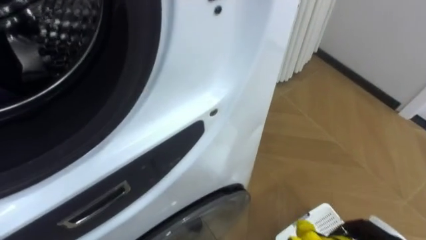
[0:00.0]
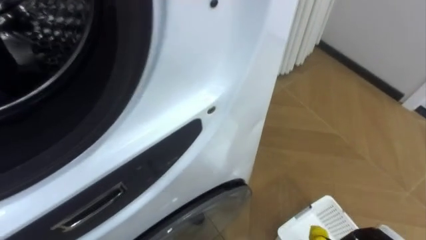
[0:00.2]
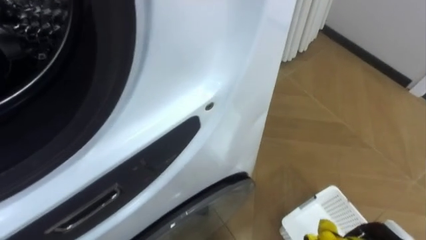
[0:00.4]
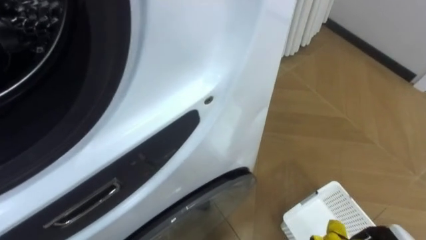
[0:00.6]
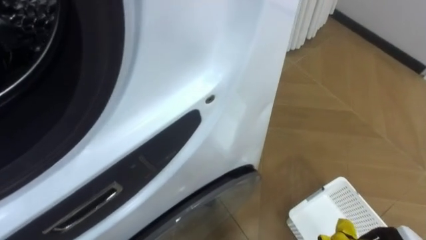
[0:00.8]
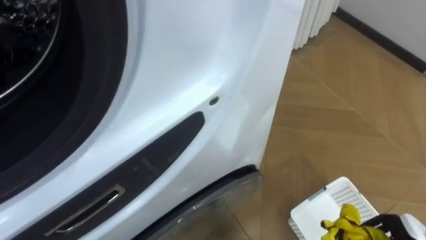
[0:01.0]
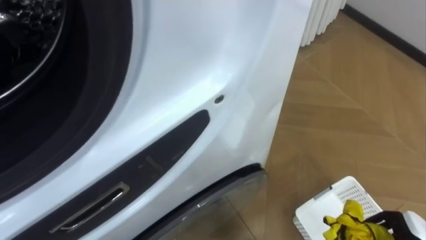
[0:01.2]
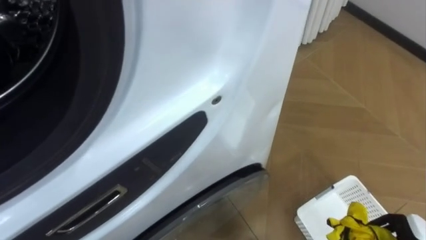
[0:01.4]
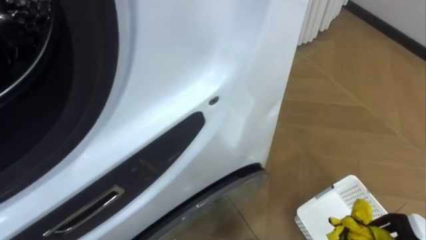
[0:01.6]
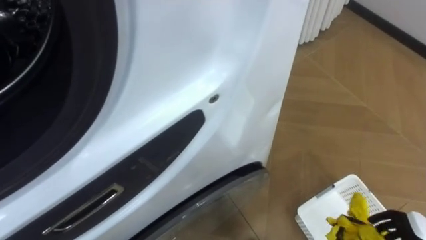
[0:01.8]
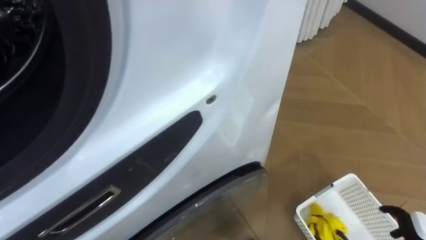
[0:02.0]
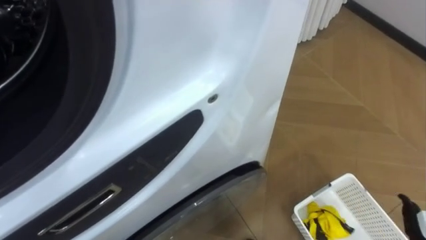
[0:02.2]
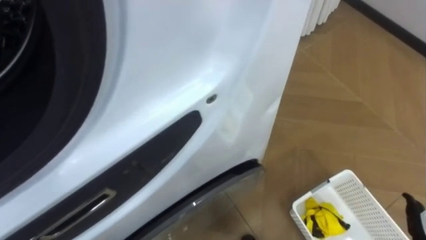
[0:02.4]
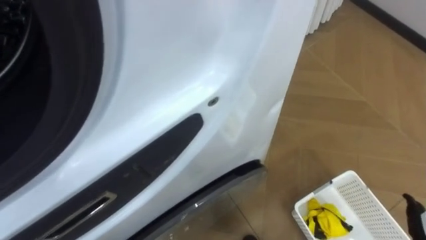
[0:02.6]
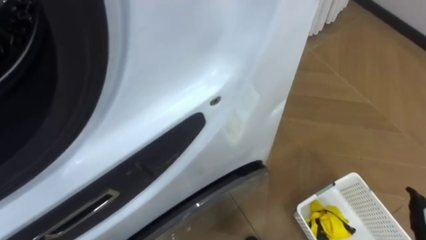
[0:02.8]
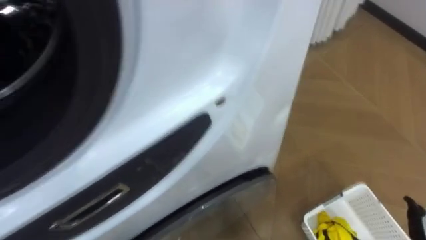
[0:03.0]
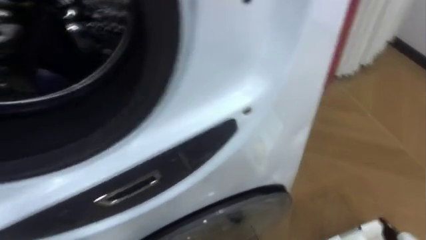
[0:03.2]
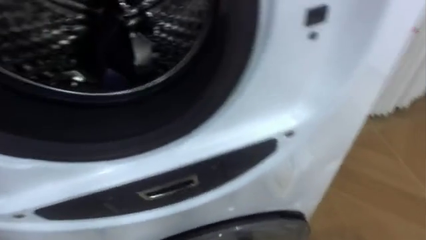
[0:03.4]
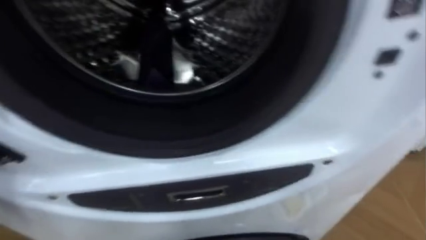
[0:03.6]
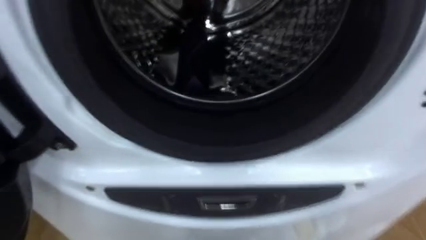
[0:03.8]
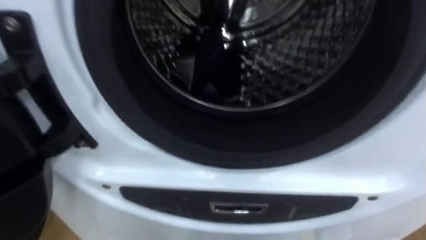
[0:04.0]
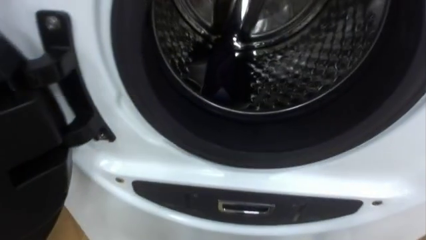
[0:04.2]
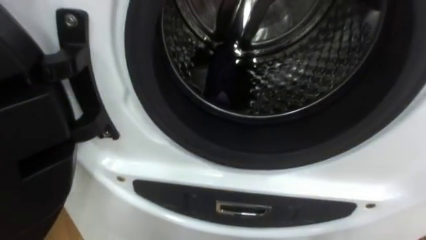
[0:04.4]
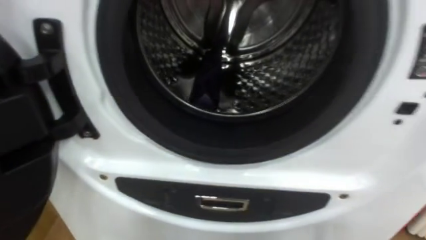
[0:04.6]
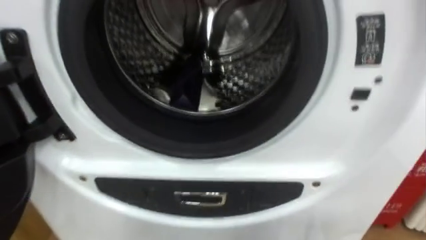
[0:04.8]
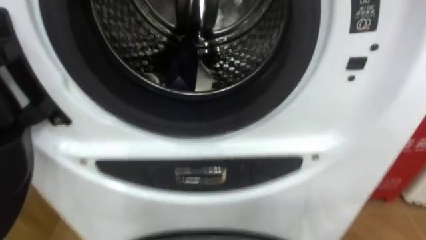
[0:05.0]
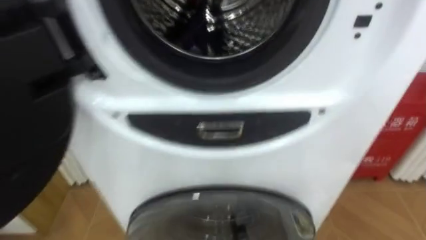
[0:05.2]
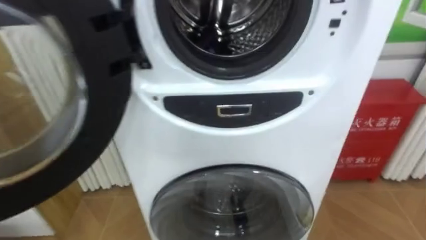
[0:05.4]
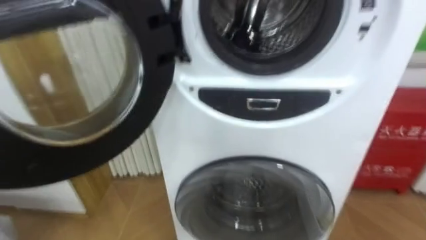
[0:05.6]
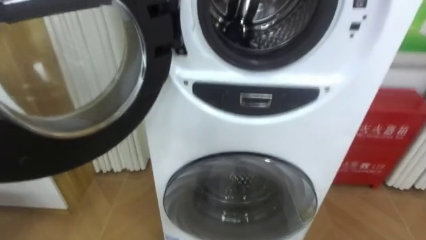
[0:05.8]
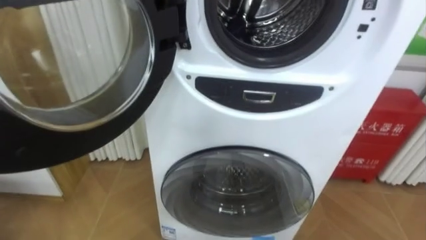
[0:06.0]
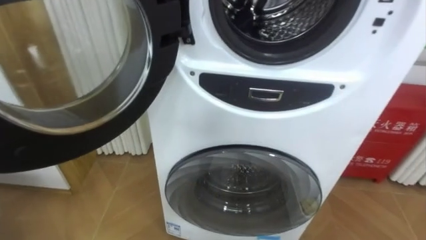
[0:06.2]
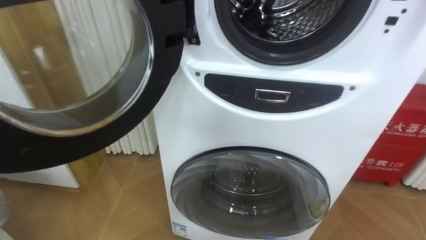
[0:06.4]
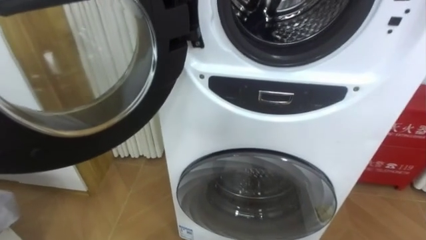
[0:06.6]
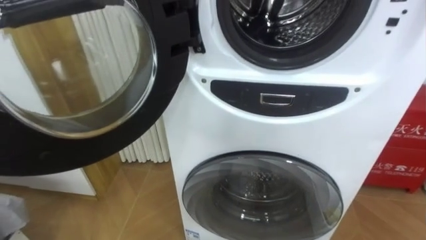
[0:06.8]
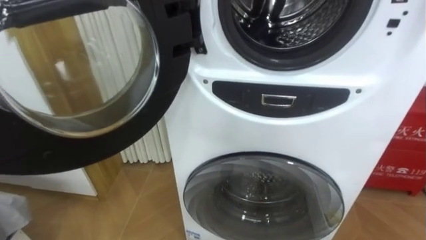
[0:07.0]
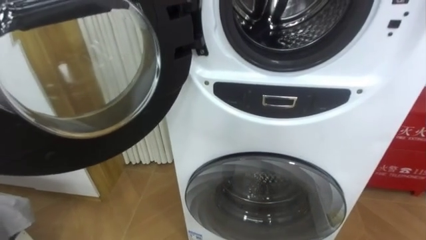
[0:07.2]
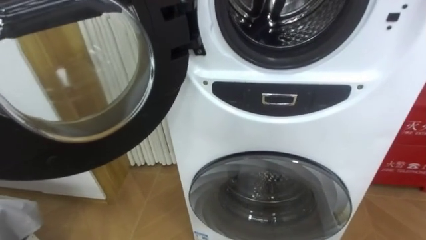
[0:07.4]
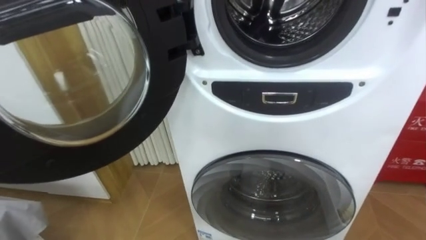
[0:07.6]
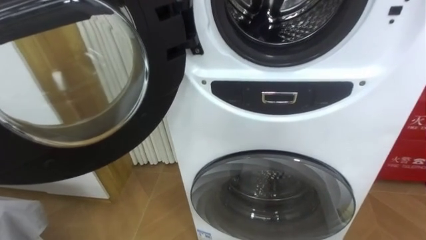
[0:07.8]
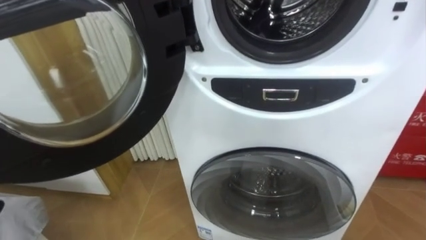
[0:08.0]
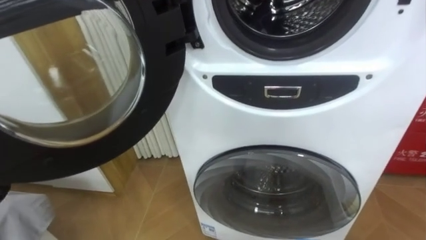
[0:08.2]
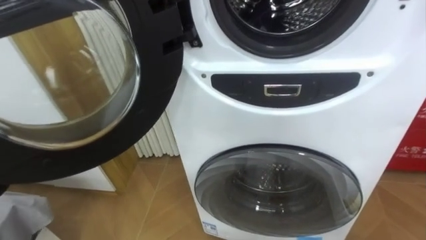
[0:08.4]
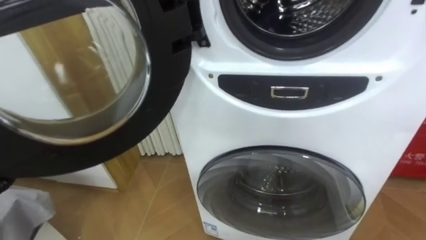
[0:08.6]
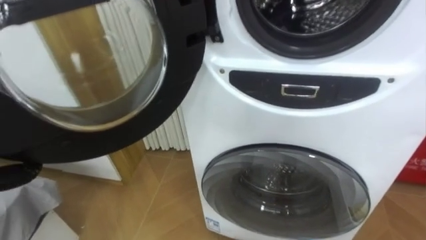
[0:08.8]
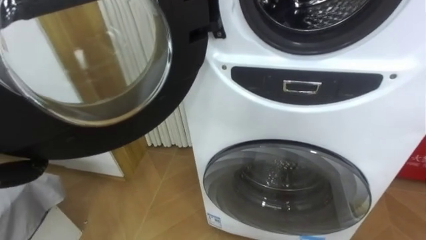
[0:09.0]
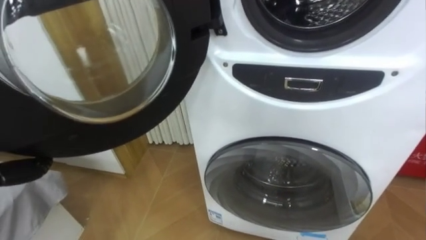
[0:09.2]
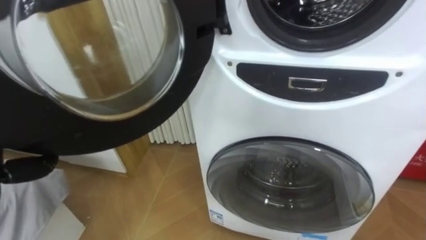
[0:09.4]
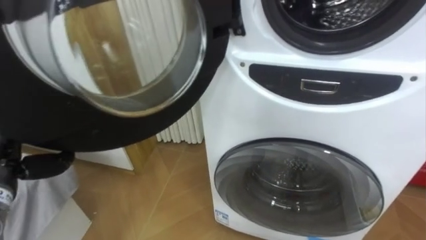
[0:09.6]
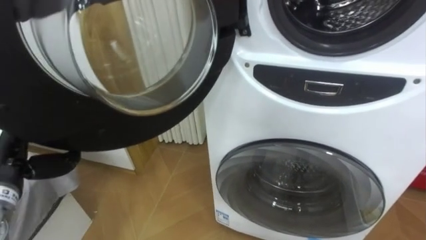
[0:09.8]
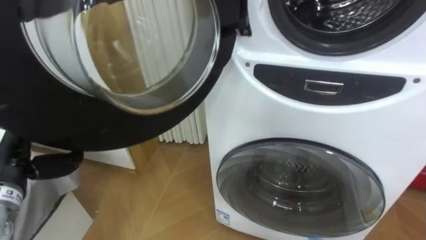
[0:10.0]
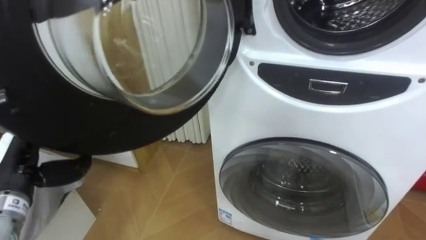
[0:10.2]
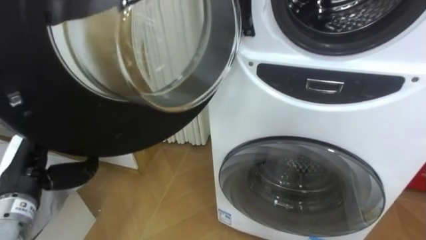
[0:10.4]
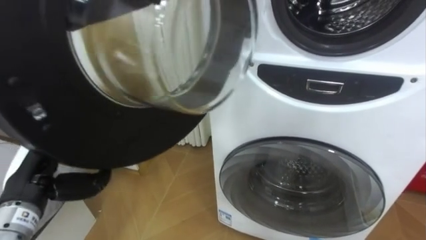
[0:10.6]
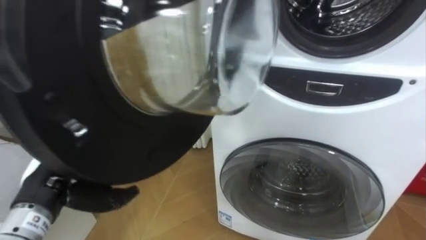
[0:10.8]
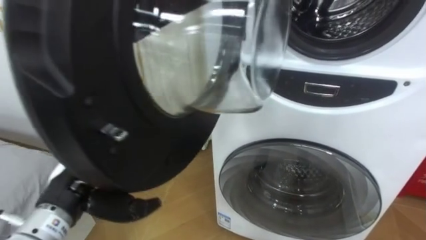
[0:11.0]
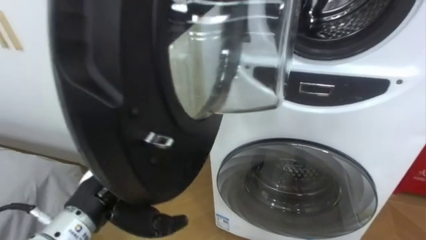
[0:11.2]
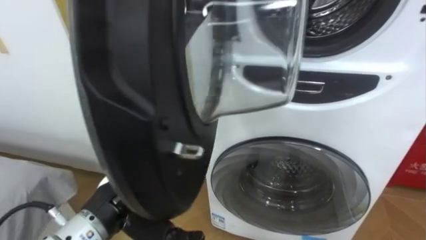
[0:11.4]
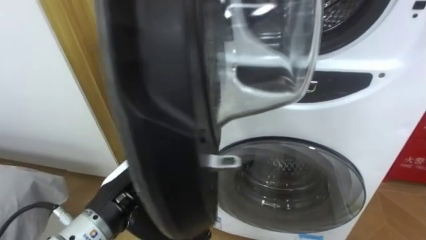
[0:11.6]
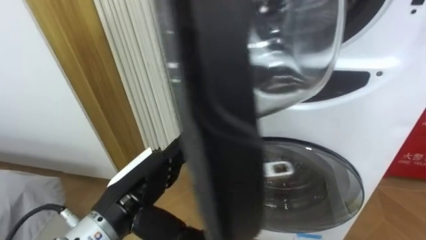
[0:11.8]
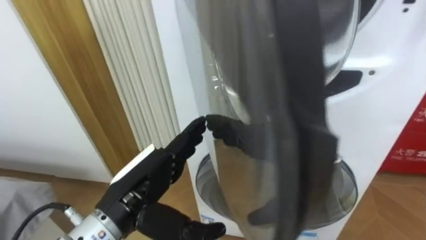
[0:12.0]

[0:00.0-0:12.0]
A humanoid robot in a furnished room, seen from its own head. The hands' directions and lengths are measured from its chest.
Task of the whole recording: Open the washing machine door, take out the yellow clothes, place them in the box on the right, and close the washing machine door.
0:10.4 to 0:12.0: The left hand shifts about 20 cm to the right.

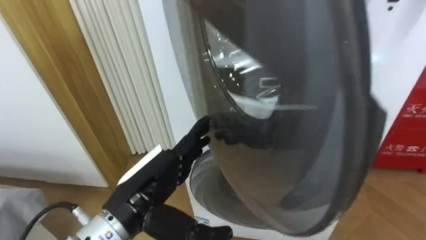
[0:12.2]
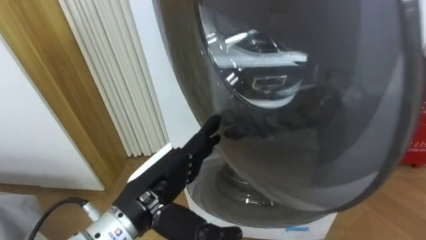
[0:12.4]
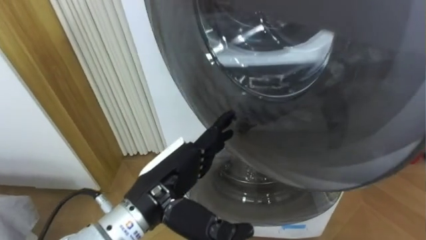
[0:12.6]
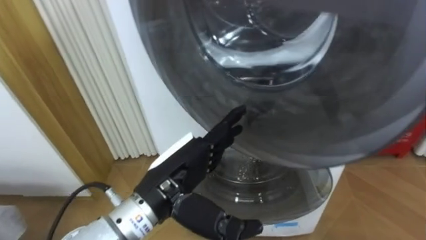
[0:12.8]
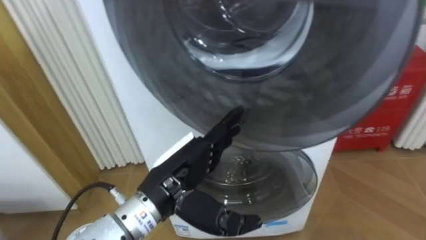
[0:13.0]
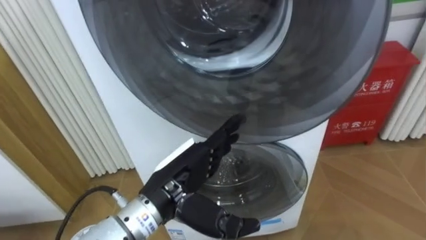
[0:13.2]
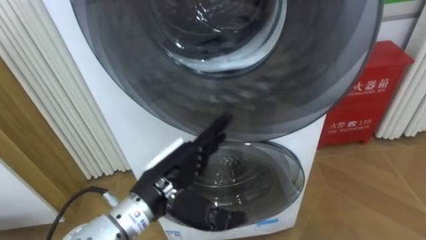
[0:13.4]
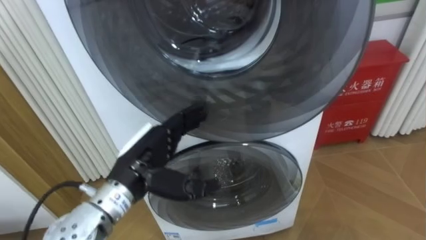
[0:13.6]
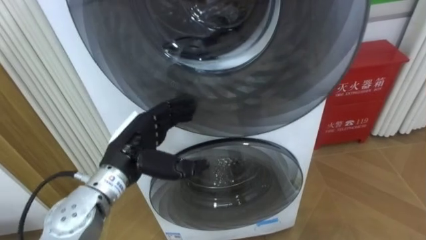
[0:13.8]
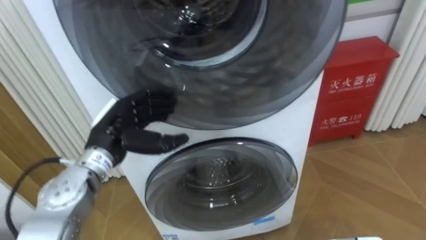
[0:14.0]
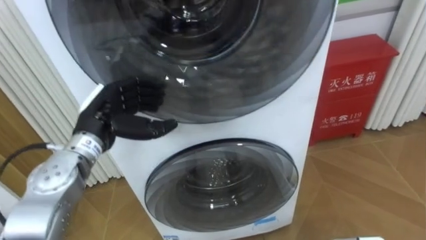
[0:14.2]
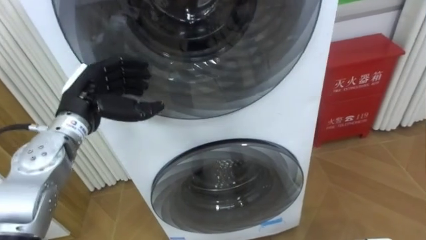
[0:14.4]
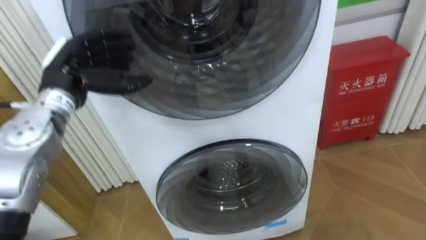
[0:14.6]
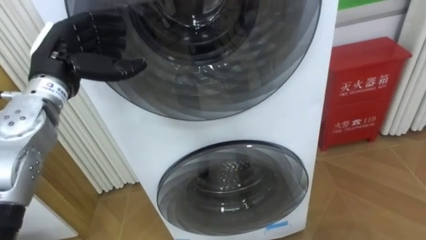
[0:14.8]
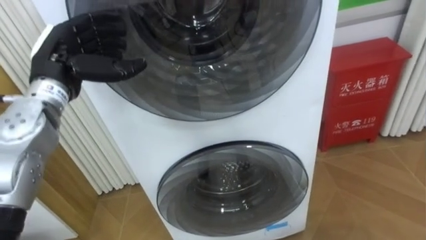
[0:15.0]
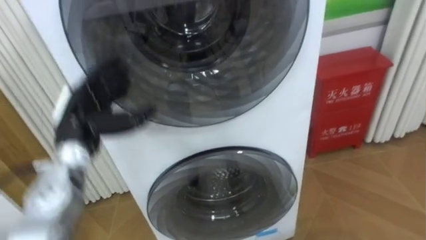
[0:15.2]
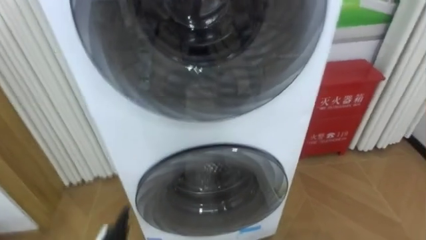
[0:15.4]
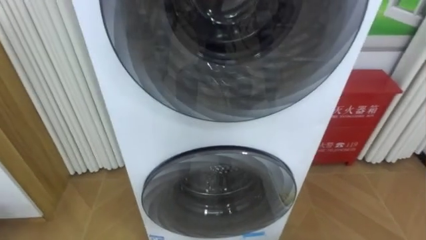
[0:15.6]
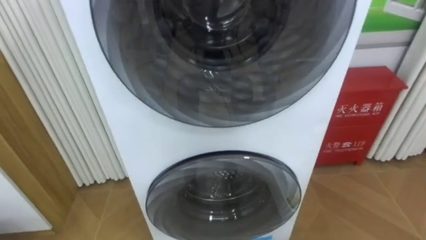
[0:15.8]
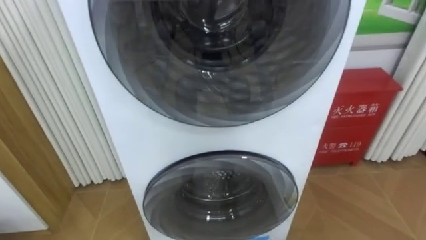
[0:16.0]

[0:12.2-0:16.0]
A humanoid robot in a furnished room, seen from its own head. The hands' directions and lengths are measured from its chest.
Task of the whole recording: Open the washing machine door, take out the yellow clothes, place them in the box on the right, and close the washing machine door.
0:13.4 to 0:14.8: The left hand goes some 25 cm to the left, forward and upward.

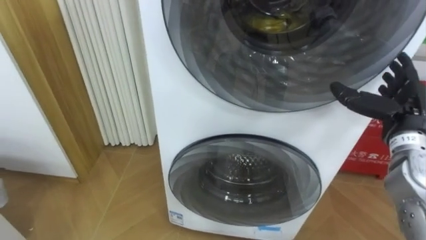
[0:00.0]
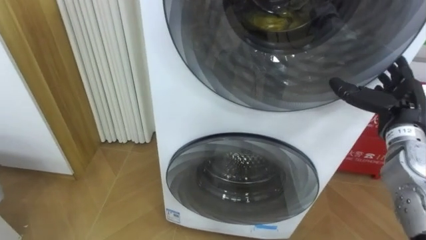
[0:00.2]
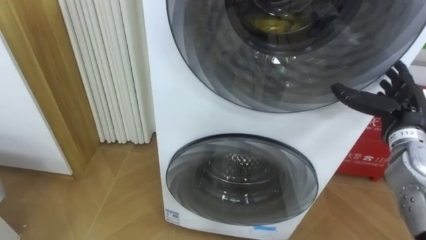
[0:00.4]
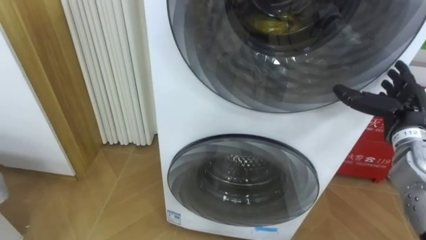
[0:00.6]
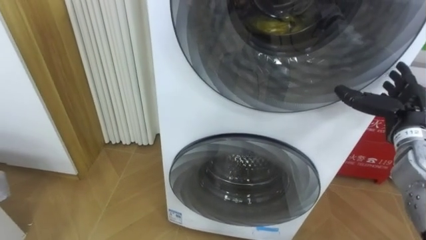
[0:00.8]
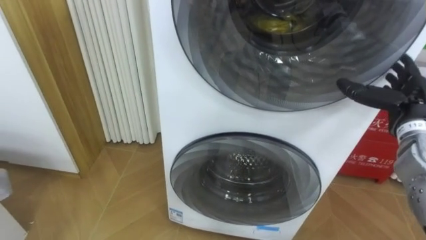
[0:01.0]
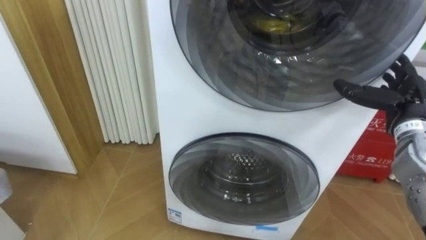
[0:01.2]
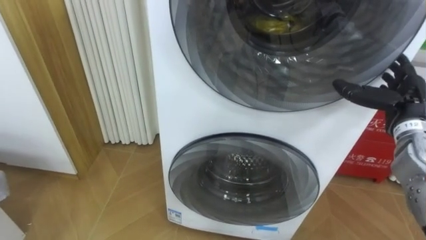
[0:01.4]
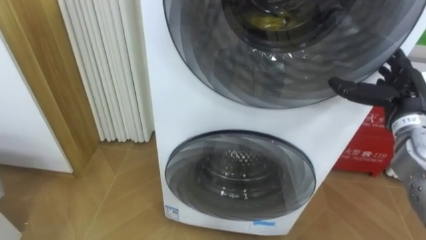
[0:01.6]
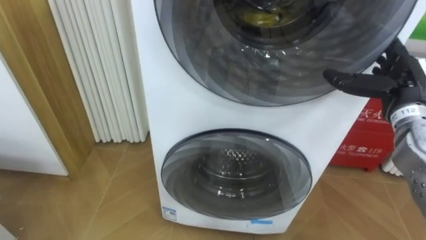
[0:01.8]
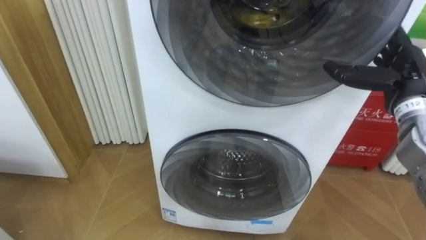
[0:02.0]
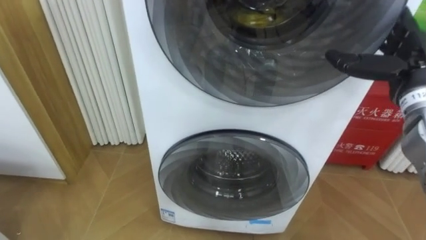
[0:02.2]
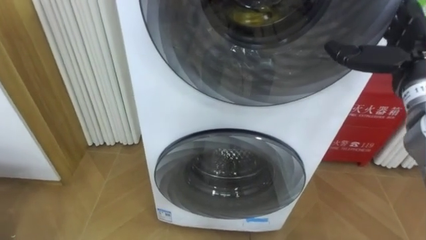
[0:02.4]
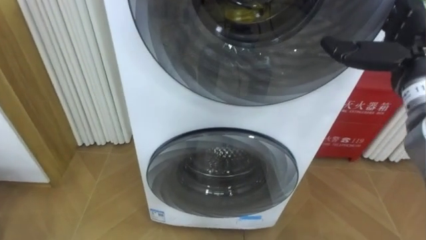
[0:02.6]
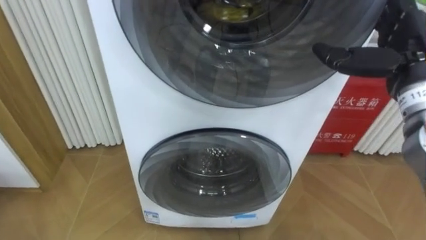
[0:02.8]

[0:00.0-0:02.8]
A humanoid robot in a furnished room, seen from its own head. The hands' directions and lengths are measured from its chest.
Task of the whole recording: Open the washing machine door, take out the yellow clothes, place them in the box on the right, and close the washing machine door.
0:01.4 to 0:02.8: The right hand heads upward and to the left, covering some 15 cm.
